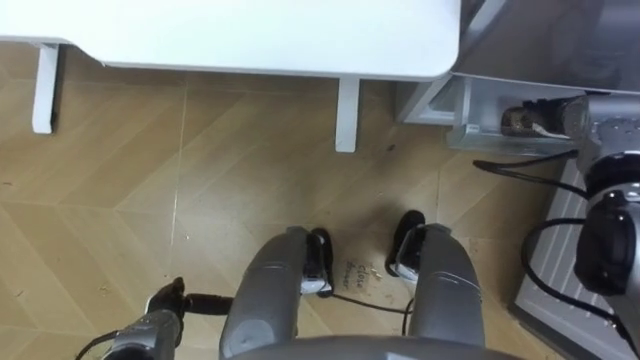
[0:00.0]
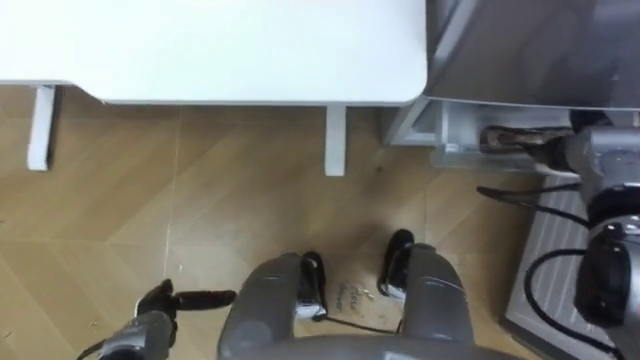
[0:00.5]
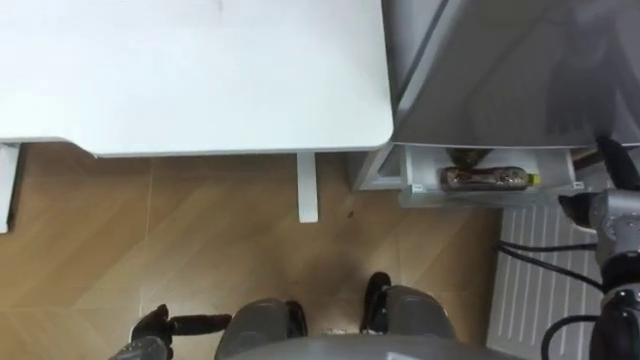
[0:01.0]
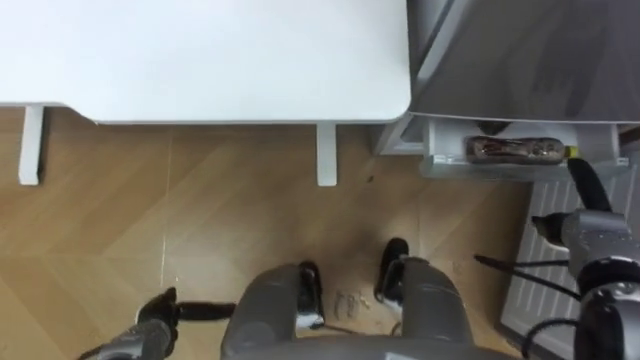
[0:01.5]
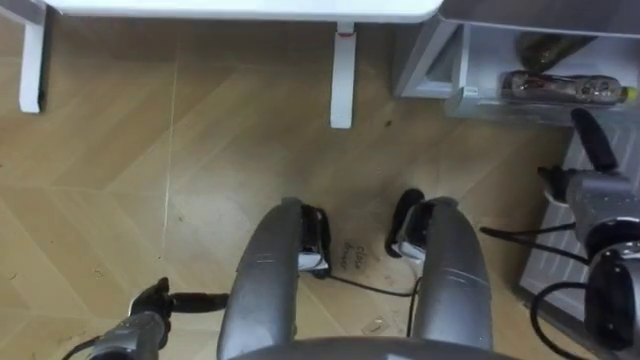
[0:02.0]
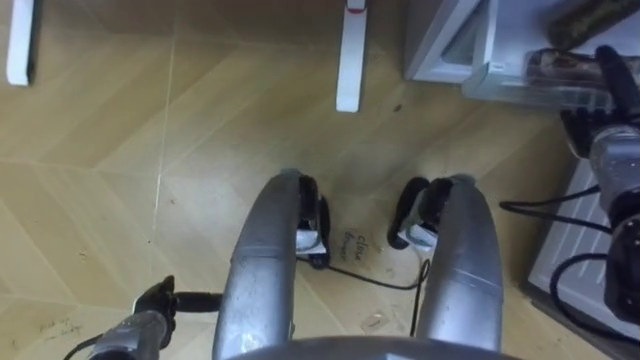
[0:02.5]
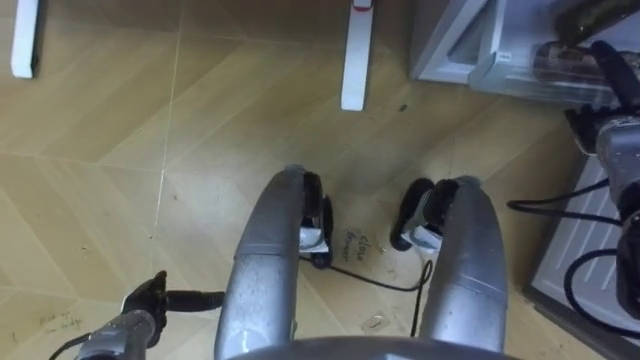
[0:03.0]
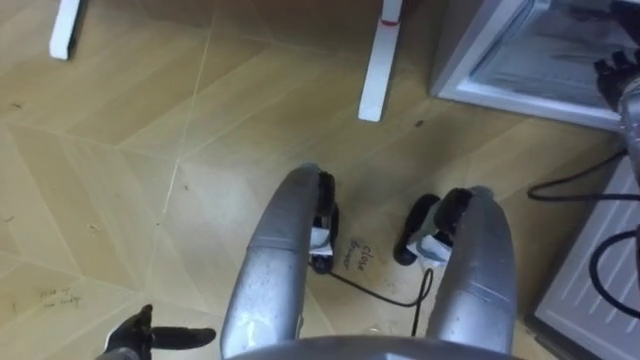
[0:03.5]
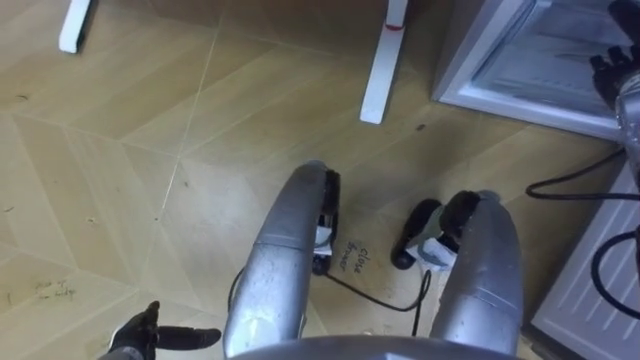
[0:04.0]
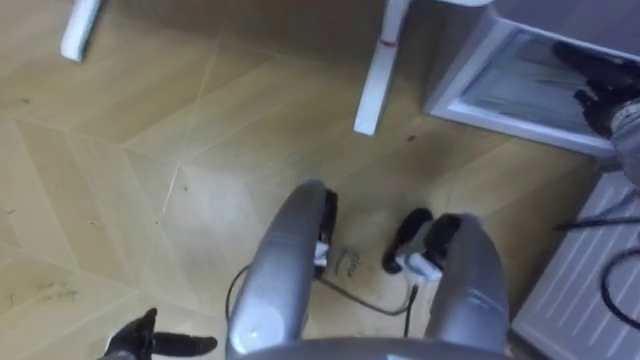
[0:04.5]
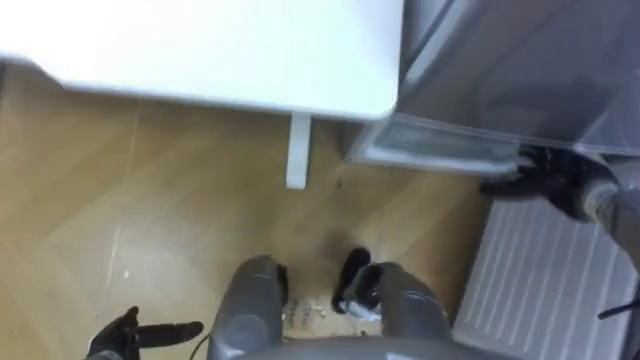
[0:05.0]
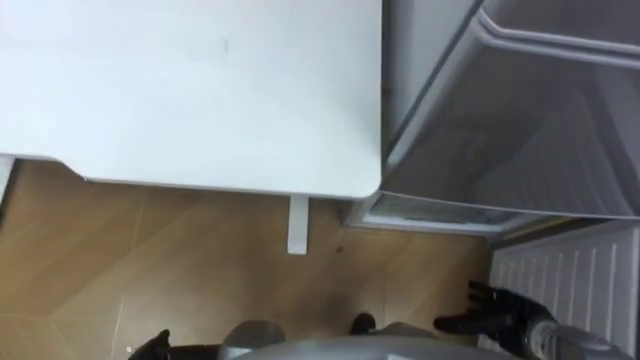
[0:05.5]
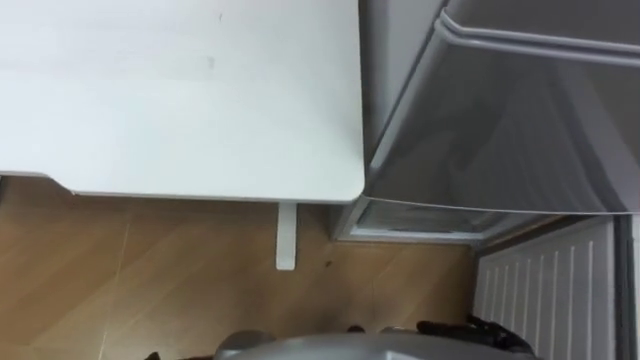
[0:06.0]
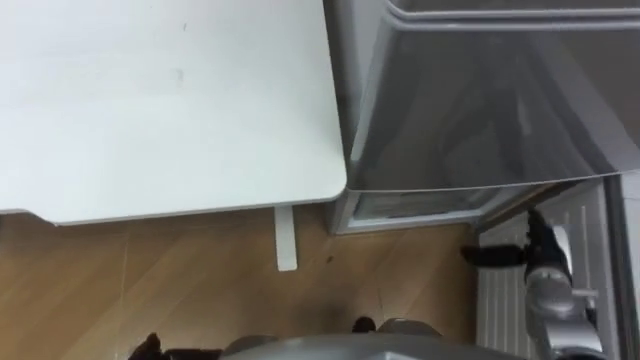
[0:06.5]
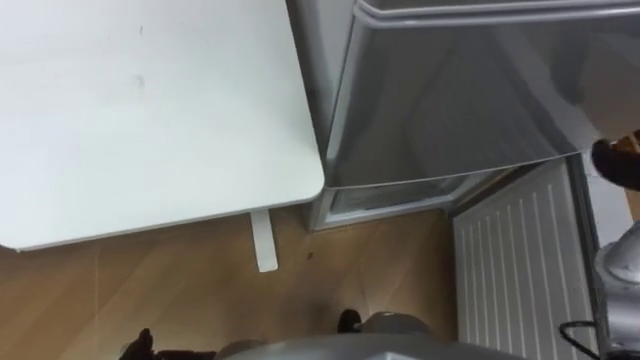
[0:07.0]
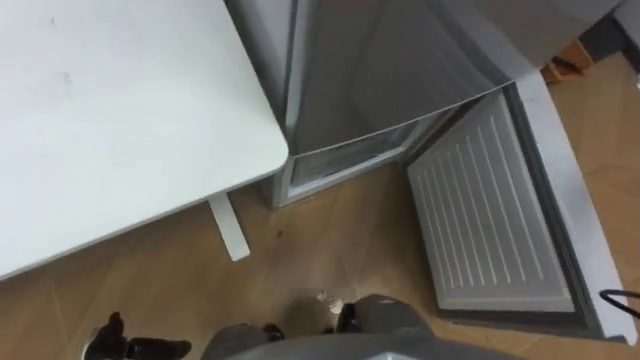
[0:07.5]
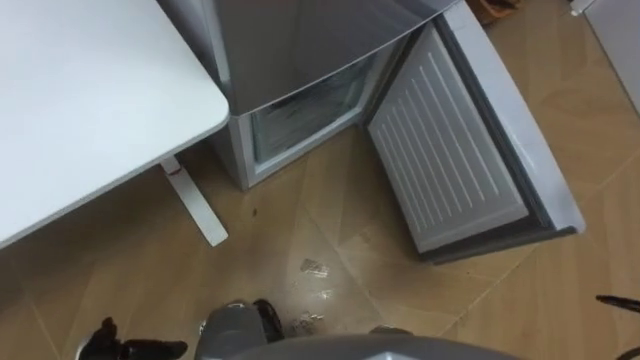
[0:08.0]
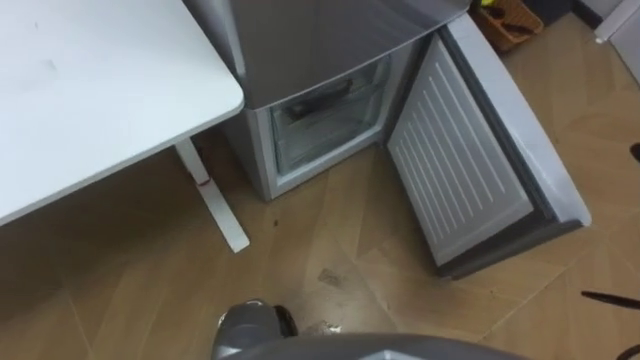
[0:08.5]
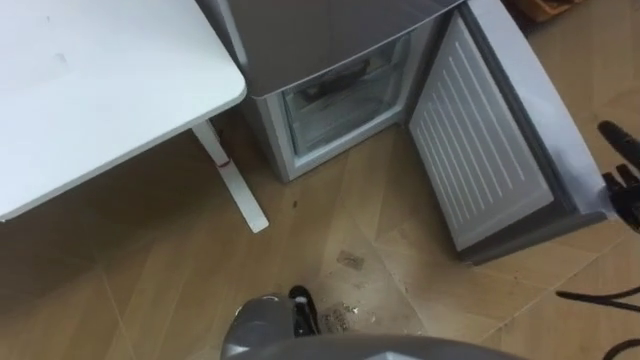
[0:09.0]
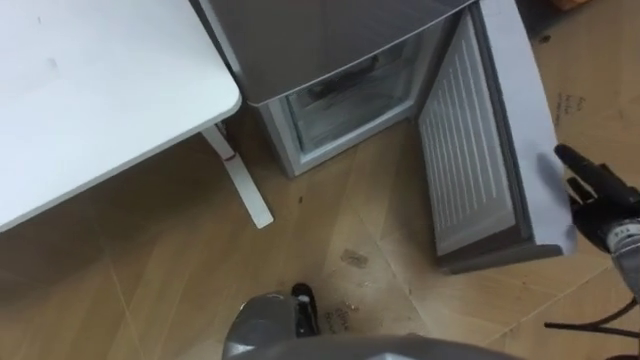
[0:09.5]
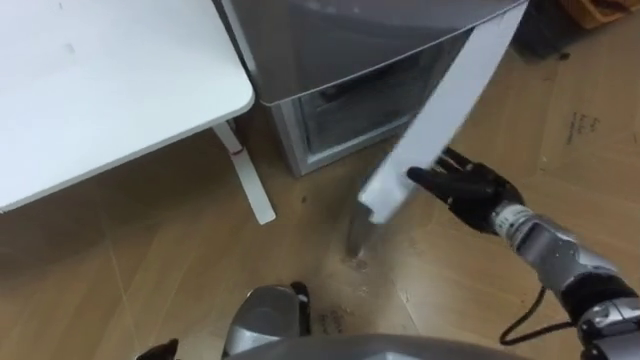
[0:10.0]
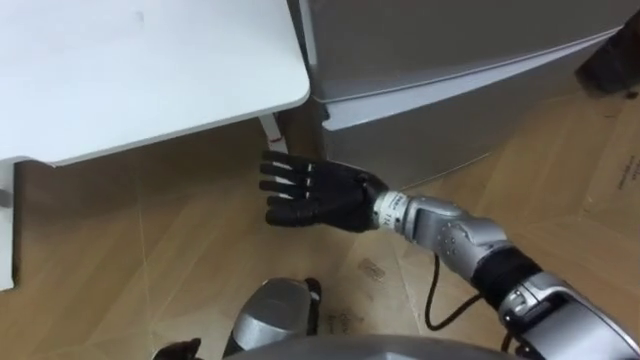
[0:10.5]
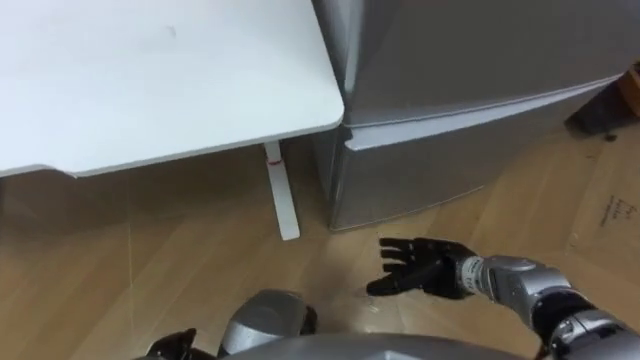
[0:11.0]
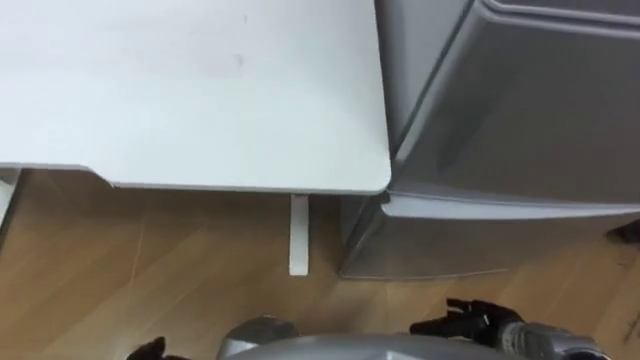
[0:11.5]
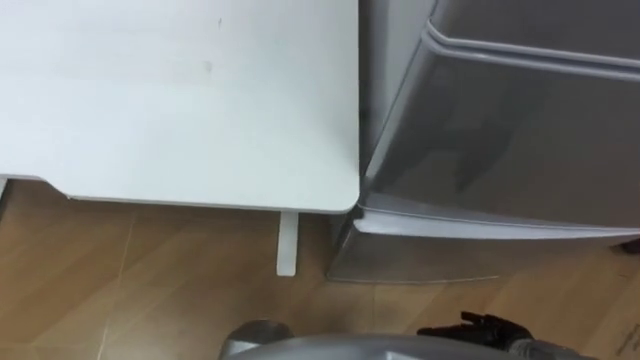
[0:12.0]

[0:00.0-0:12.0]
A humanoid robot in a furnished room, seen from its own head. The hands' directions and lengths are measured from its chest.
Task of the whole recording: Place the drink on the table on the bottom shelf of the refrigerator, then close the drawer and the refrigerator door.
0:00.0 to 0:02.0: The right hand travels backward and downward by roughly 10 cm.
0:02.0 to 0:04.0: The right hand goes about 15 cm upward and forward.
0:04.0 to 0:06.0: The right hand shifts roughly 40 cm backward and downward.
0:06.0 to 0:08.0: The robot rotates roughly 35 degrees to its right.
0:10.0 to 0:12.0: The robot faces approximately 35 degrees further to its left. The right hand is displaced backward and downward by about 20 cm, and moves about 20 cm to the left and comes back.

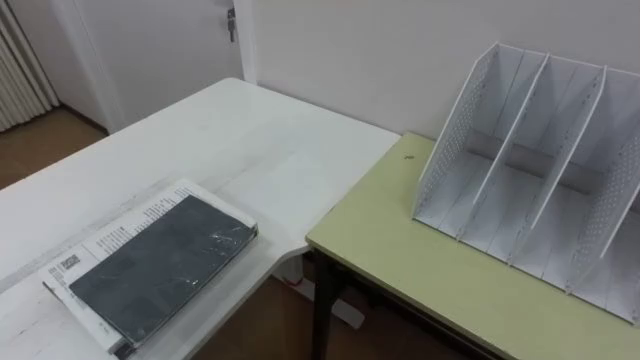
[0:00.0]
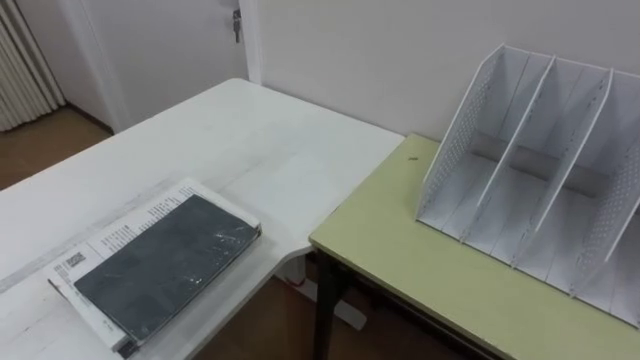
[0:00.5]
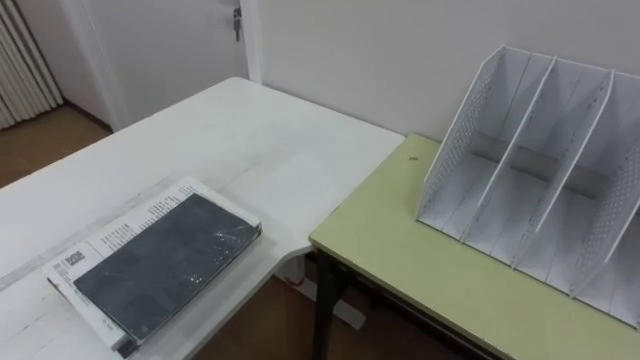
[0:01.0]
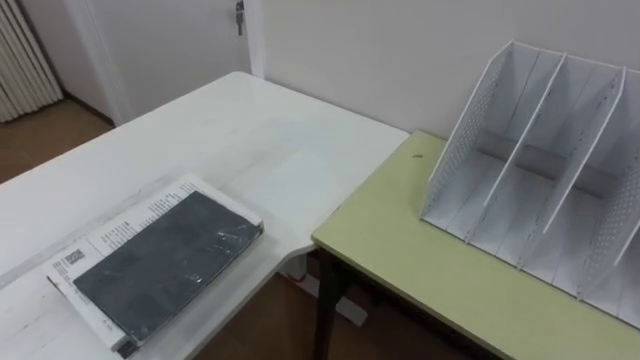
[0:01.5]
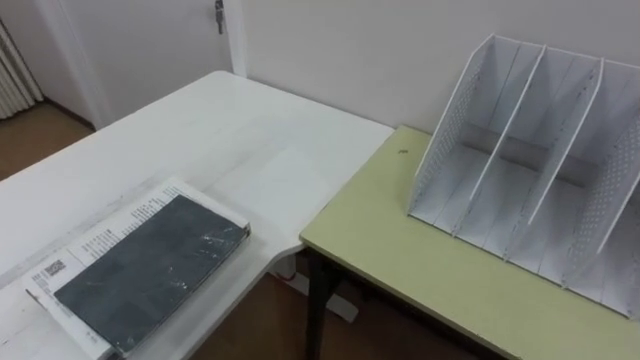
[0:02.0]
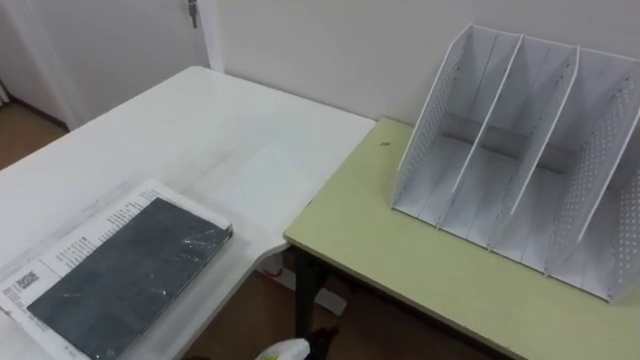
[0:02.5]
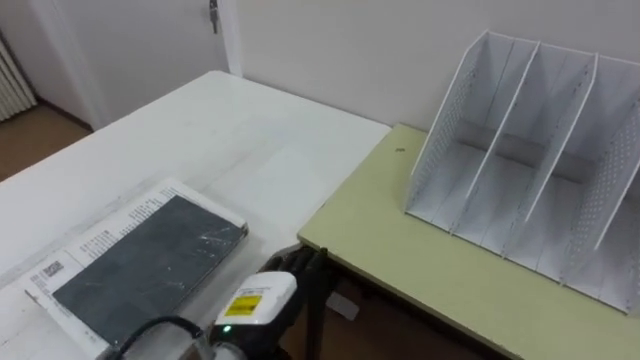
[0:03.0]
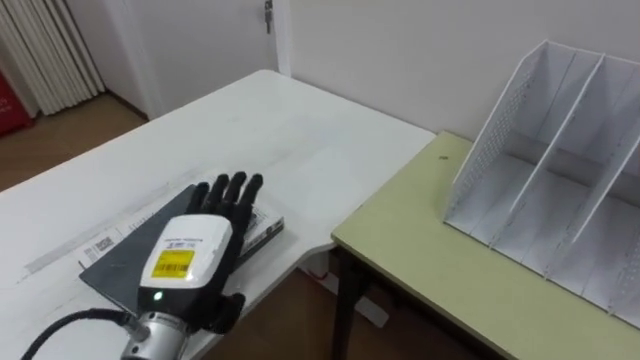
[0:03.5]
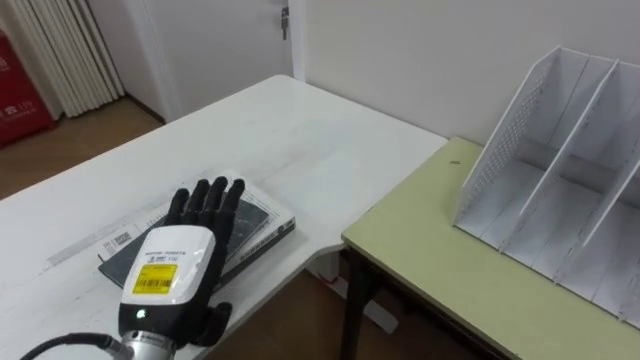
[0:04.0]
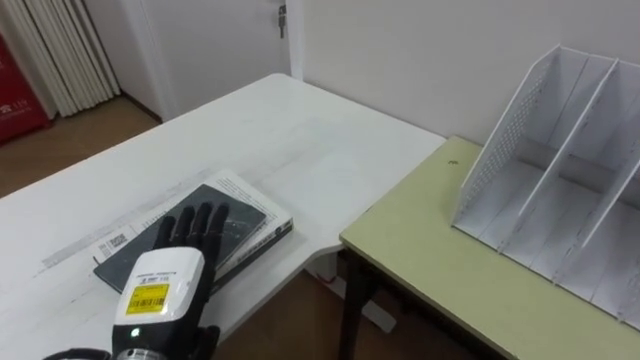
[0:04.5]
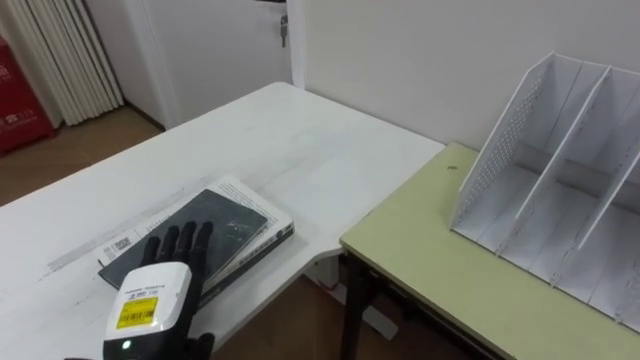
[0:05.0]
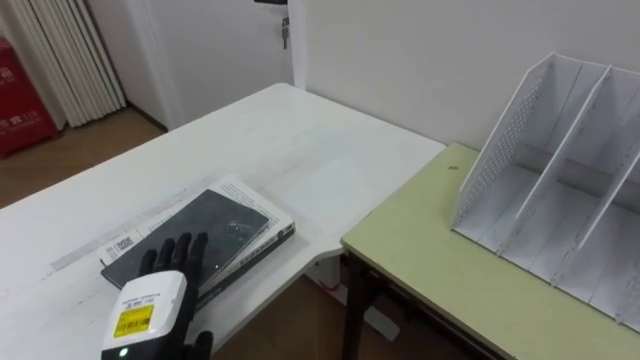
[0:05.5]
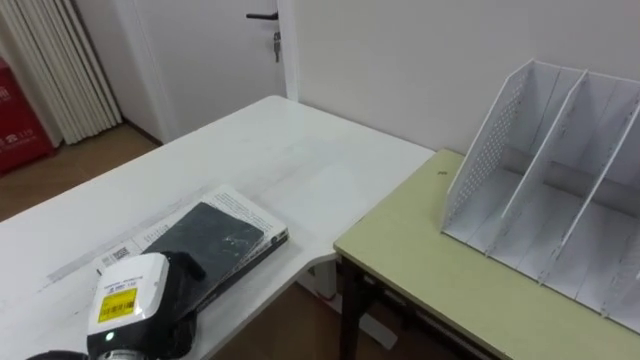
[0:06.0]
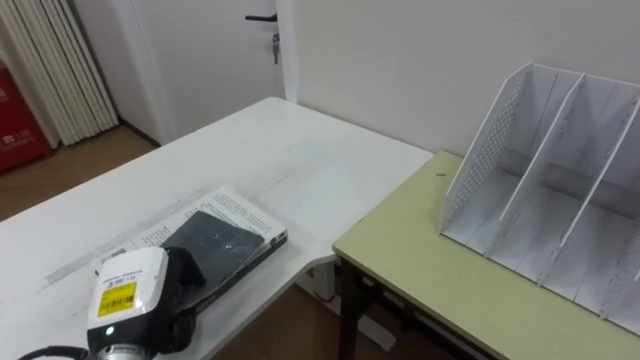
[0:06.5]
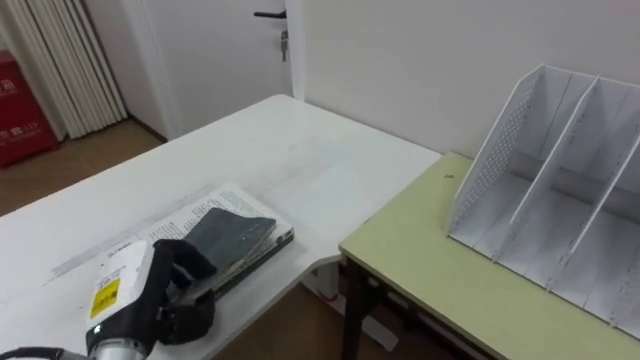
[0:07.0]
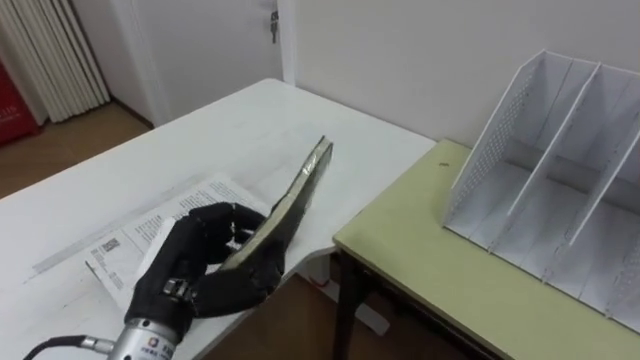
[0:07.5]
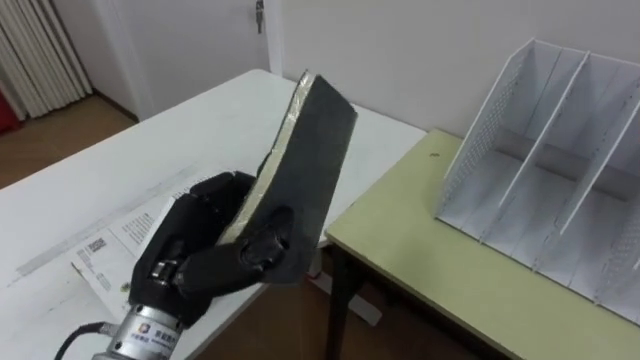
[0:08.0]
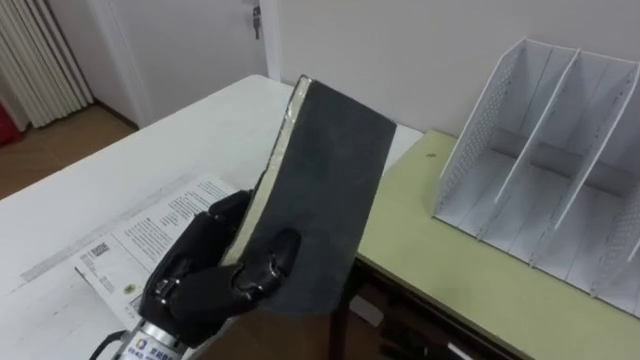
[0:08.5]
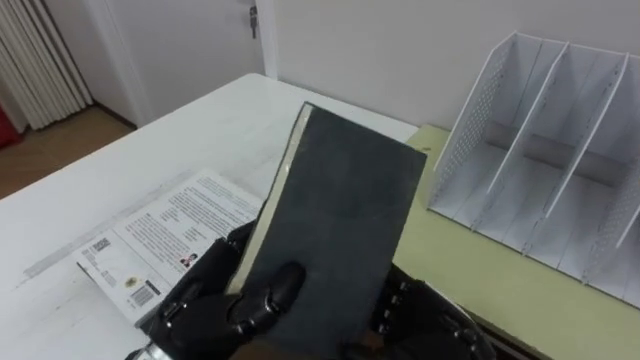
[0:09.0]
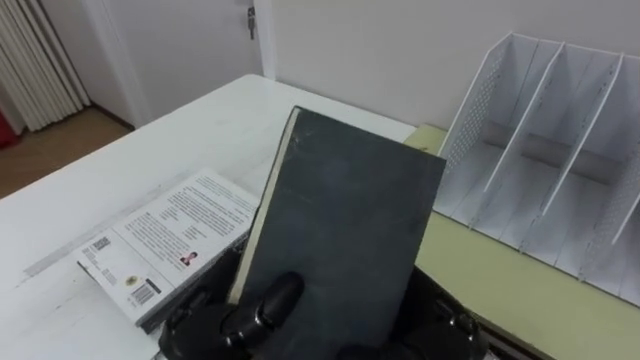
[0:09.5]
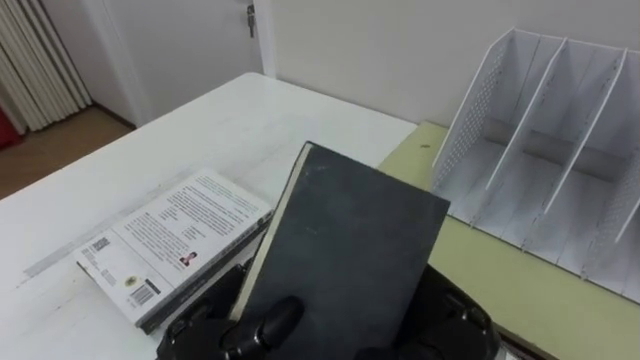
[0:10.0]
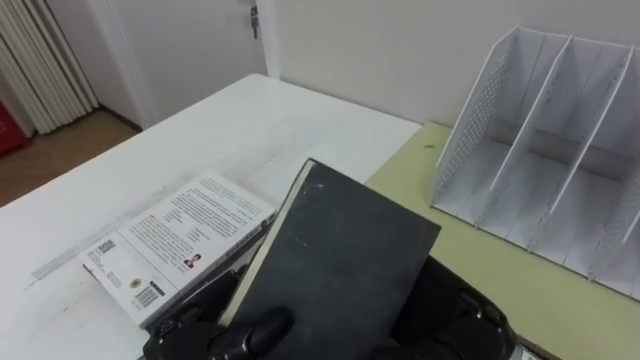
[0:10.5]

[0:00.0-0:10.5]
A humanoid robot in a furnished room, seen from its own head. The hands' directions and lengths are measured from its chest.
Task of the whole recording: Put the books on the table onto the bookshelf.
0:04.0 to 0:06.5: The left hand shifts approximately 5 cm downward and to the left, and closes.
0:06.5 to 0:08.5: The left hand heads to the right and upward, covering about 10 cm.
0:08.5 to 0:10.5: The left hand moves about 5 cm.
